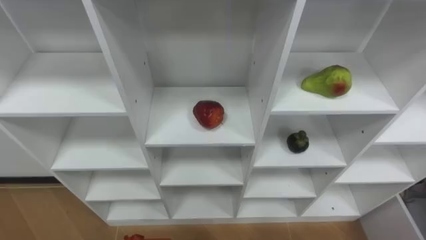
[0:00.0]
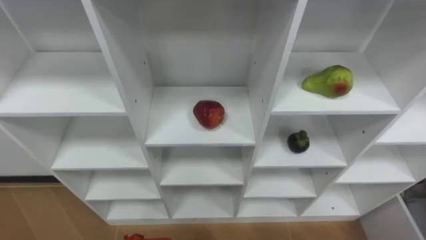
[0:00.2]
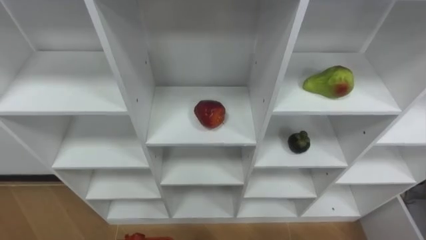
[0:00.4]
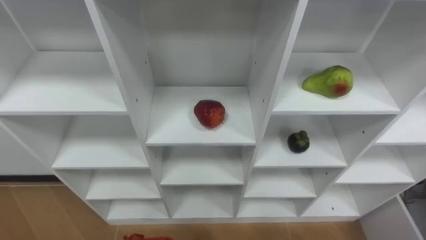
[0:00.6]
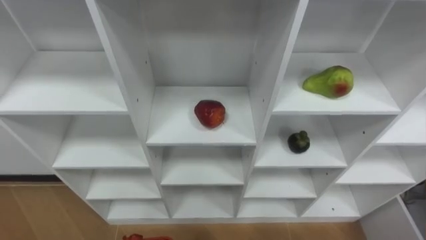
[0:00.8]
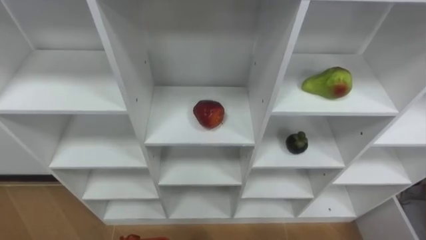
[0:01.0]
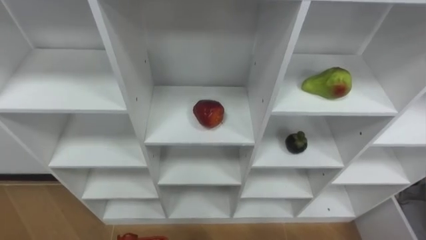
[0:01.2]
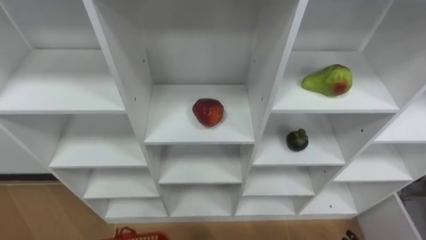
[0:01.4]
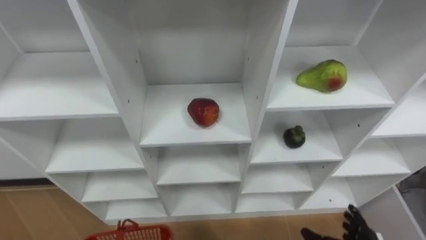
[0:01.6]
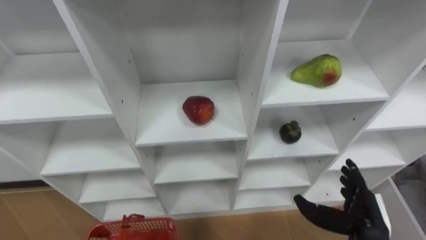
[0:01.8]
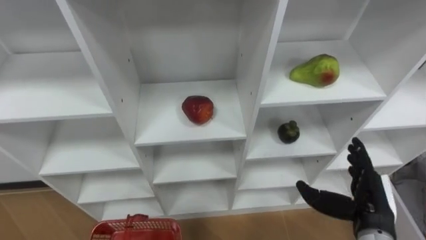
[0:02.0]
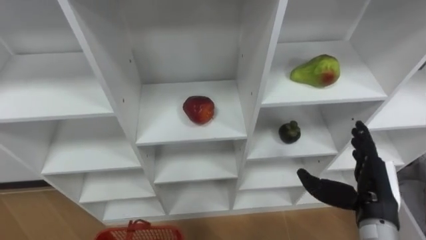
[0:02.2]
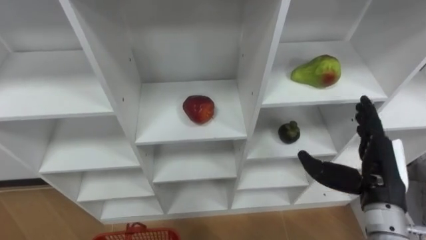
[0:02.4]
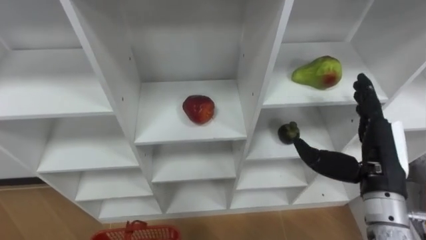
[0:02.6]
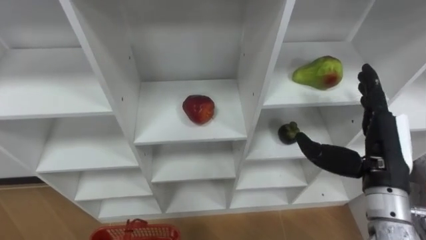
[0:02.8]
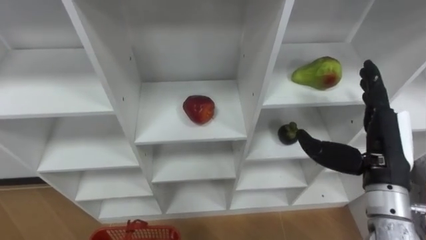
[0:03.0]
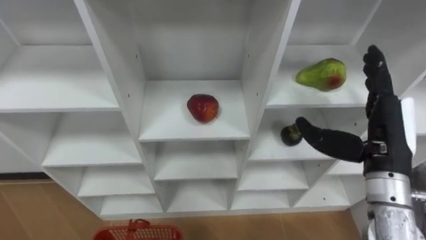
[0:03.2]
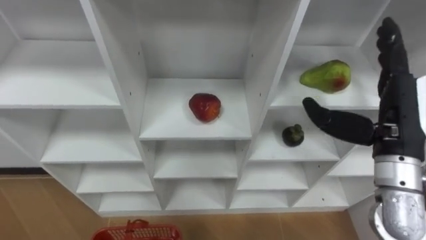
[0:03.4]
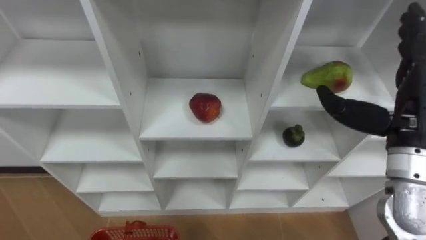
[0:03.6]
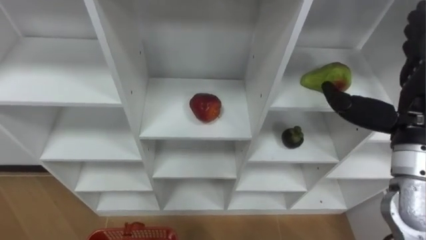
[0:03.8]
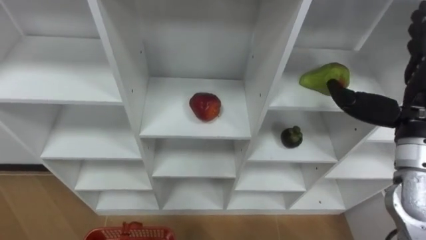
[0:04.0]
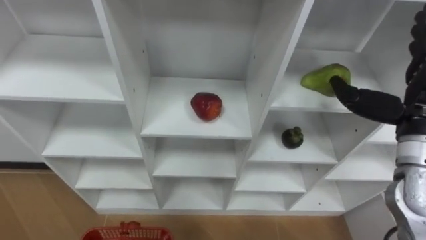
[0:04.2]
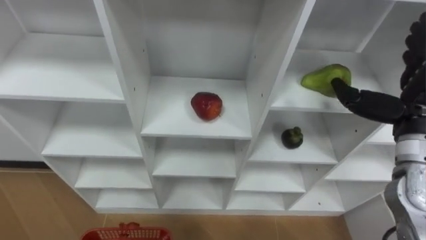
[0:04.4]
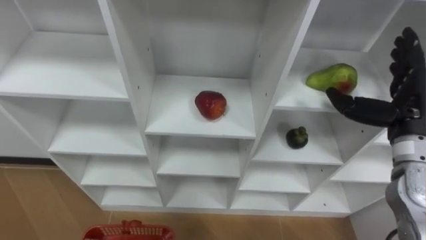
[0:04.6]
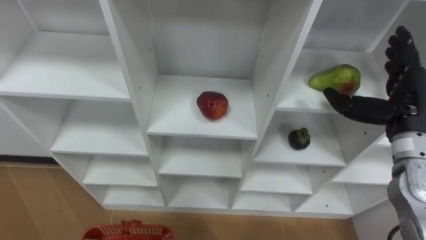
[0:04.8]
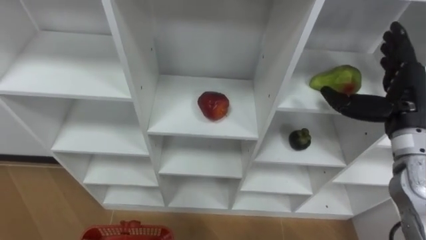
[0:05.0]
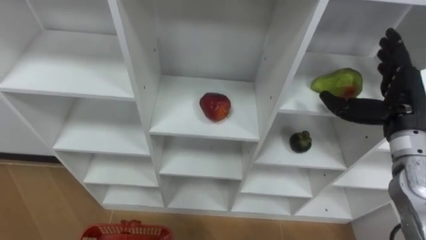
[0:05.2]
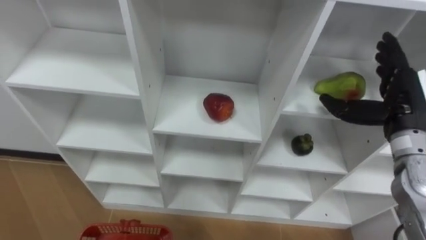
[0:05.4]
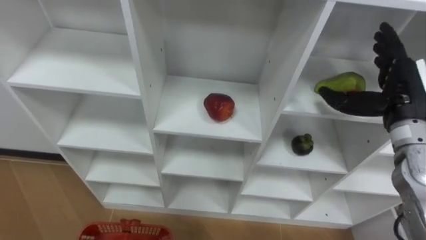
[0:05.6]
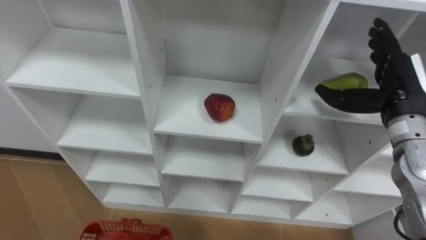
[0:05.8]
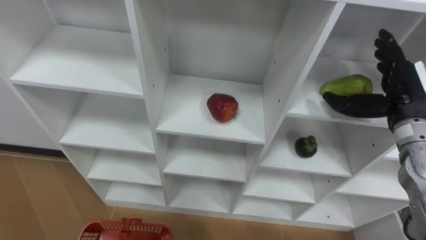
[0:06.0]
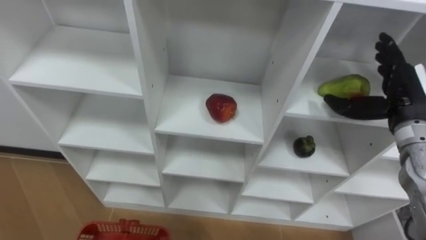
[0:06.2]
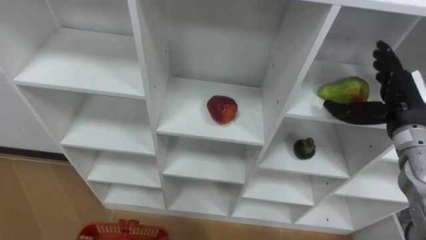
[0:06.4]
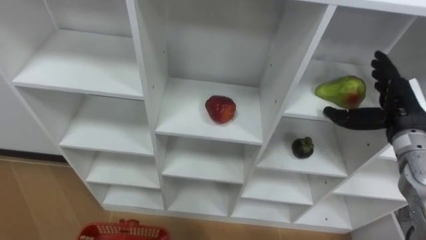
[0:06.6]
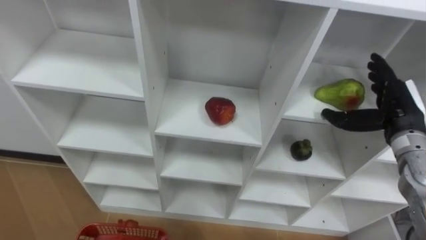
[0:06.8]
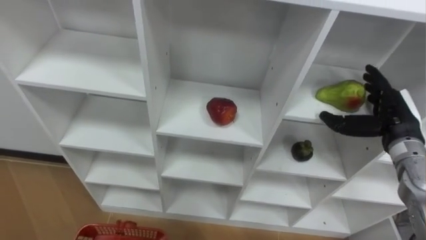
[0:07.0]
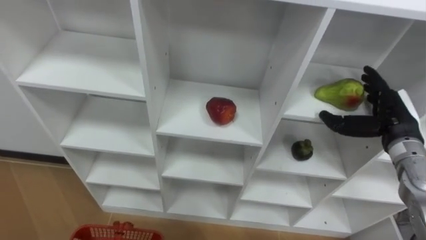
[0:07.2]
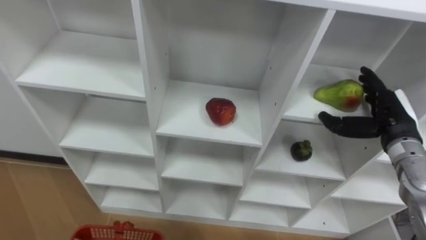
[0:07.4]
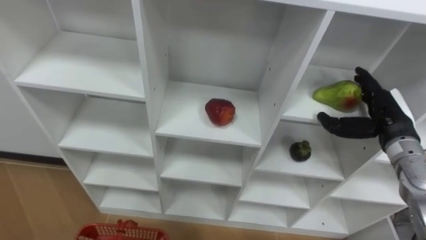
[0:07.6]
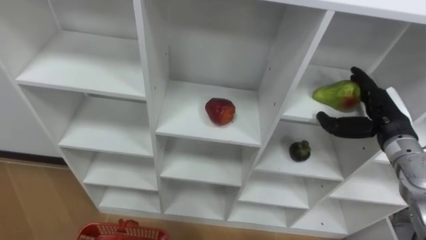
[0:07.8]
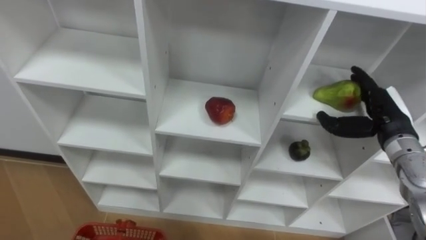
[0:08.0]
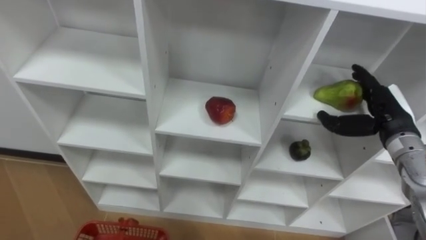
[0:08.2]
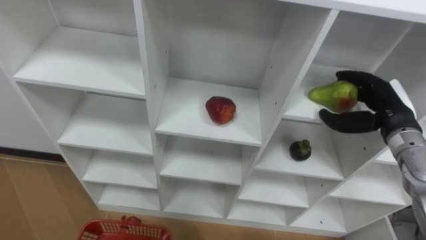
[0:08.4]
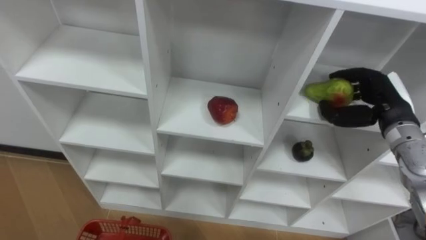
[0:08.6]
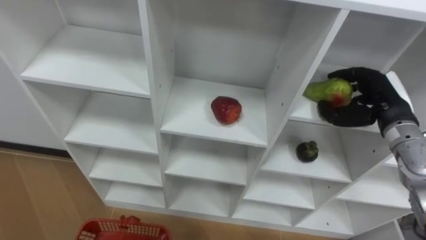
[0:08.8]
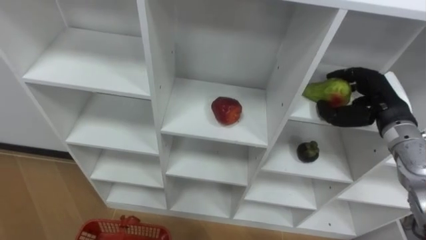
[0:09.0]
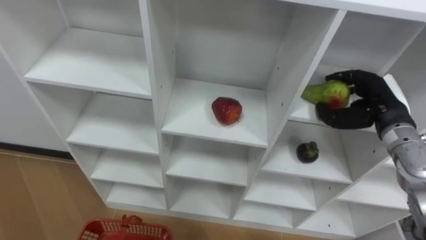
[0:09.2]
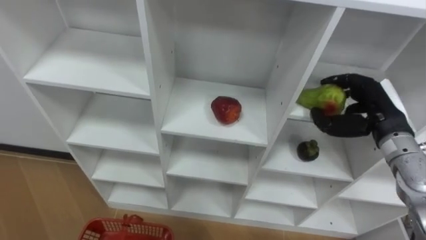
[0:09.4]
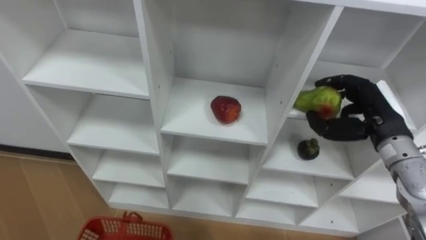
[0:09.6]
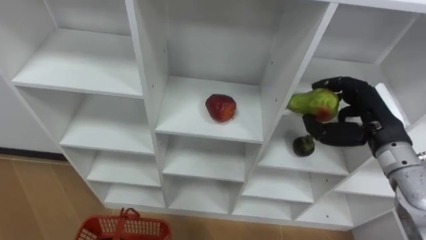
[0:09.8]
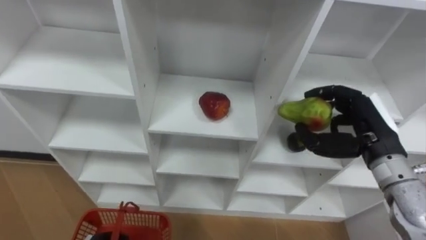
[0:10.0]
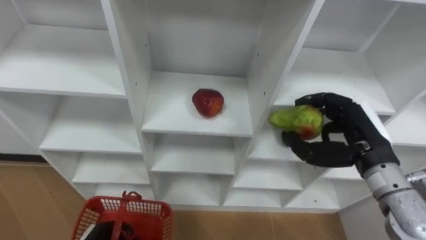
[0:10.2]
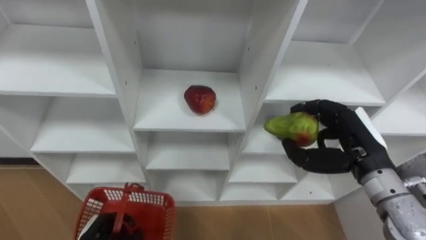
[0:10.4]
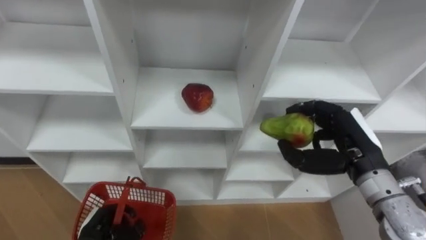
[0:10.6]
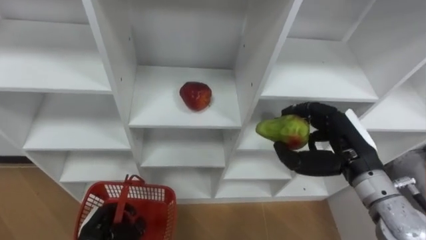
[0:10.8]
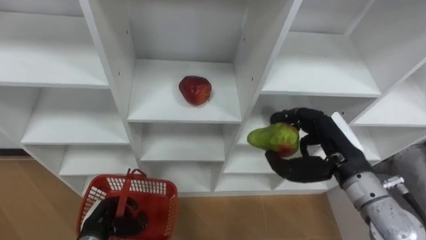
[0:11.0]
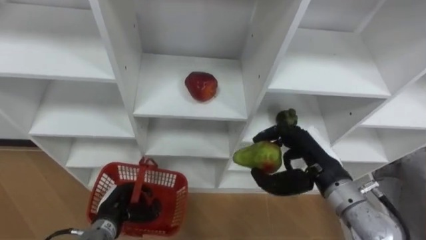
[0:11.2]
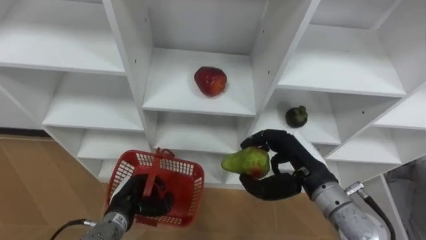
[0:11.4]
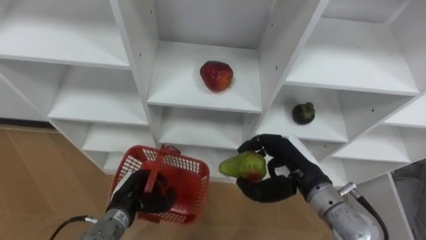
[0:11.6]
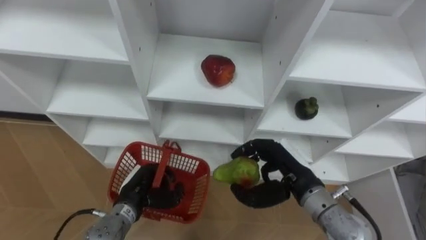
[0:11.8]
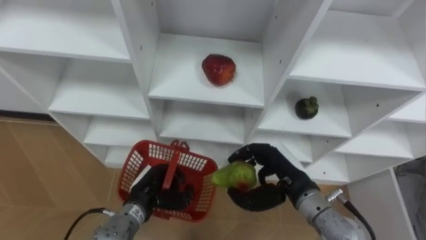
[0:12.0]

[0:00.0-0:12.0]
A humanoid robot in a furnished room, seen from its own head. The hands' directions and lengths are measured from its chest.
Task of the whole recording: Hold the basket and collect the fruits from 3 different cells of the closet into it.
0:03.0 to 0:04.4: The right hand moves forward and to the right, about 5 cm.
0:04.4 to 0:06.0: The right hand moves roughly 5 cm.
0:06.0 to 0:07.6: The right hand moves downward, about 5 cm.
0:07.6 to 0:09.0: The right hand closes up.
0:09.0 to 0:10.4: The right hand moves backward and to the left, about 10 cm.
0:10.4 to 0:12.0: The left hand moves to the right, forward and upward, about 15 cm. Meanwhile the right hand travels to the left and downward by approximately 15 cm.

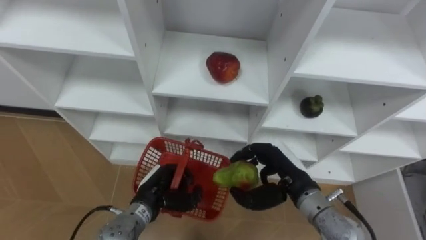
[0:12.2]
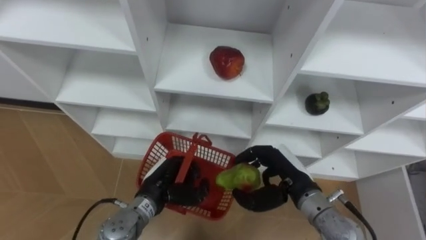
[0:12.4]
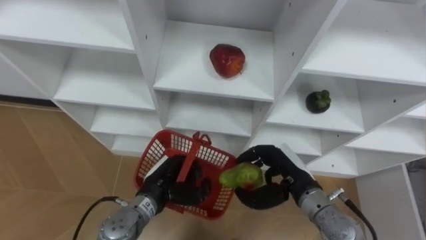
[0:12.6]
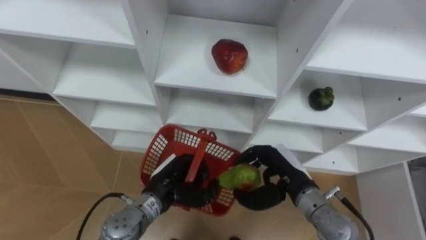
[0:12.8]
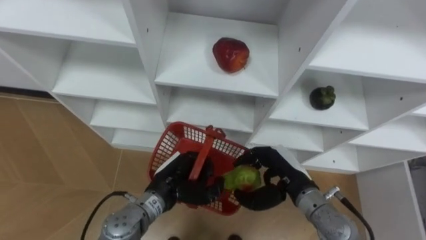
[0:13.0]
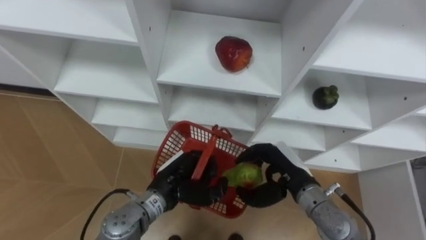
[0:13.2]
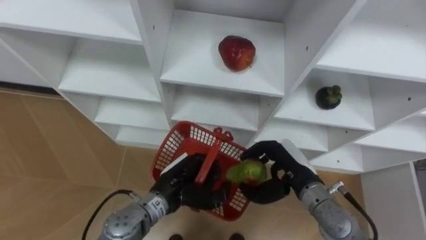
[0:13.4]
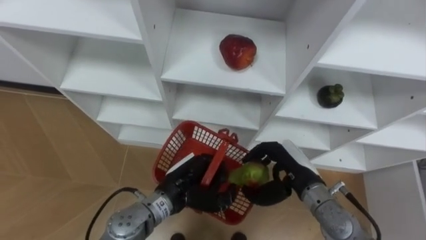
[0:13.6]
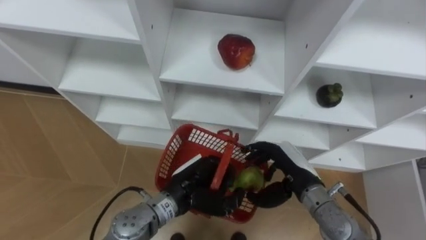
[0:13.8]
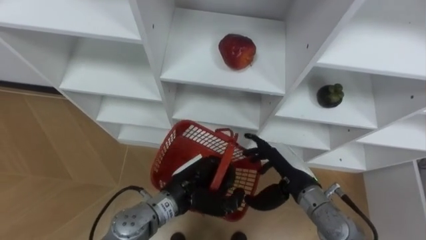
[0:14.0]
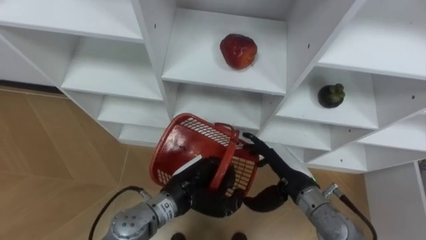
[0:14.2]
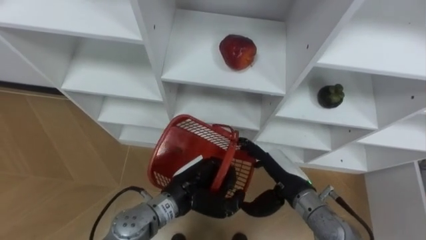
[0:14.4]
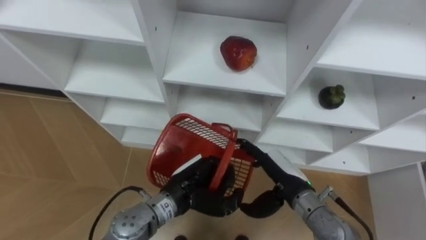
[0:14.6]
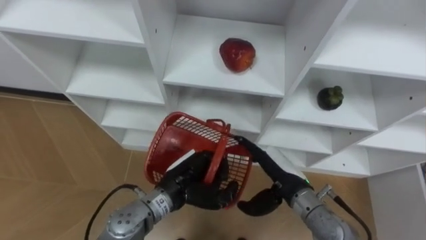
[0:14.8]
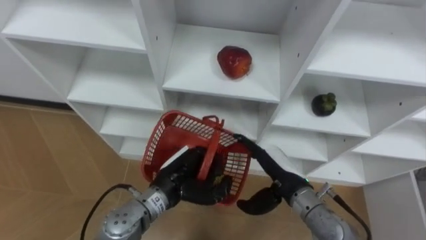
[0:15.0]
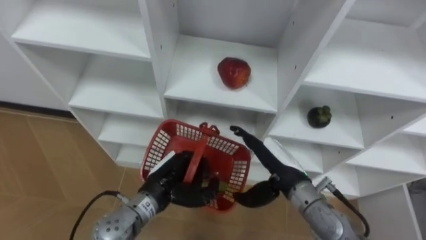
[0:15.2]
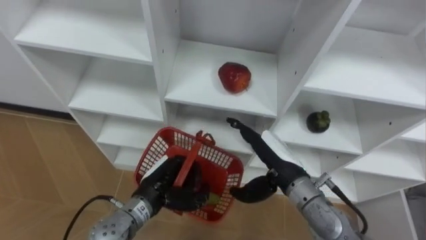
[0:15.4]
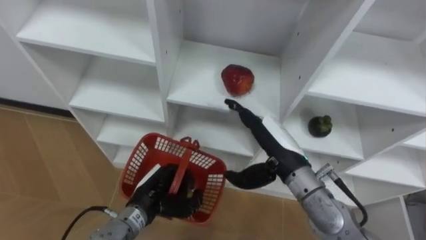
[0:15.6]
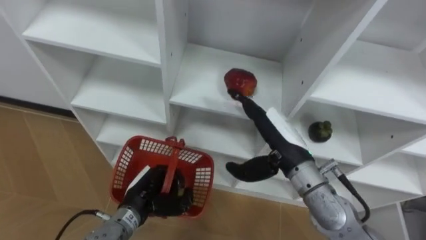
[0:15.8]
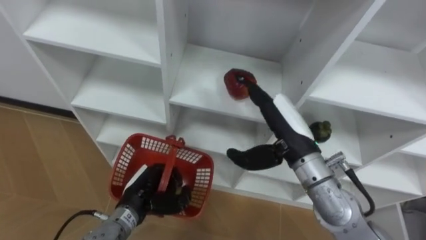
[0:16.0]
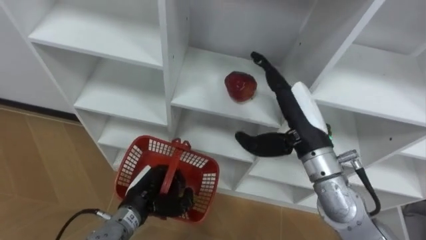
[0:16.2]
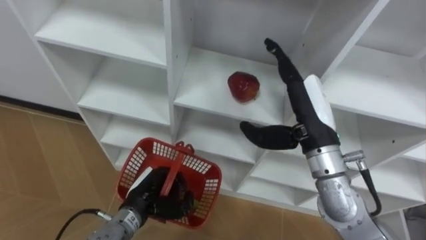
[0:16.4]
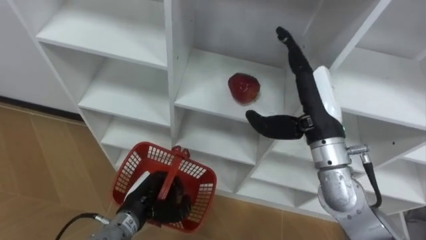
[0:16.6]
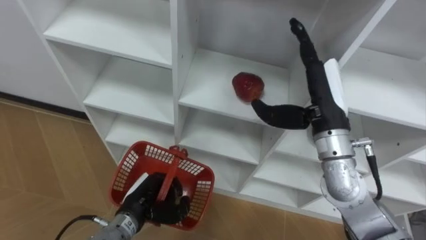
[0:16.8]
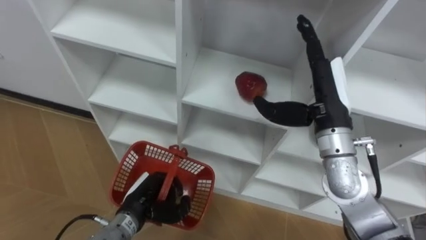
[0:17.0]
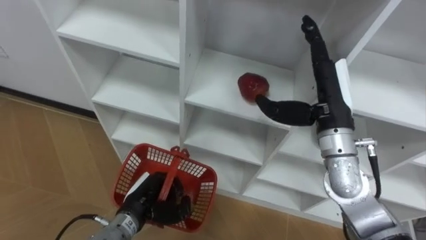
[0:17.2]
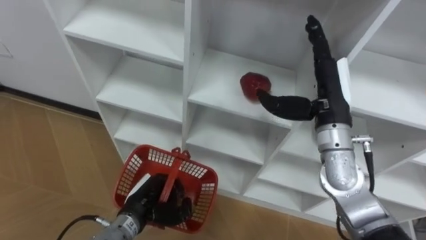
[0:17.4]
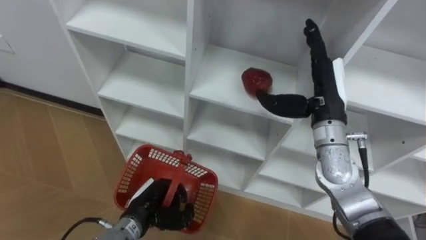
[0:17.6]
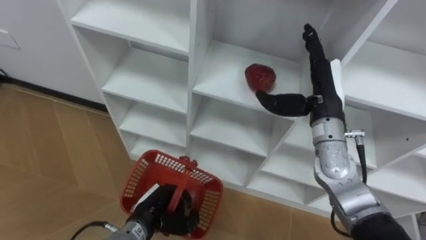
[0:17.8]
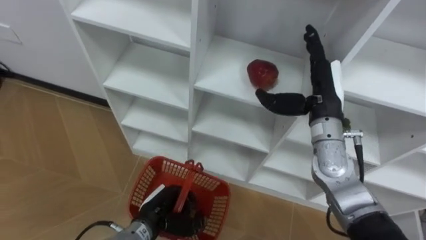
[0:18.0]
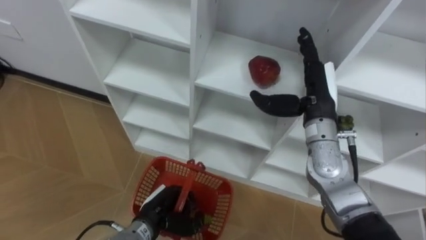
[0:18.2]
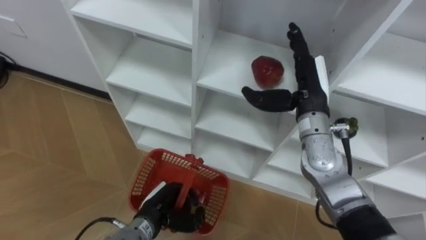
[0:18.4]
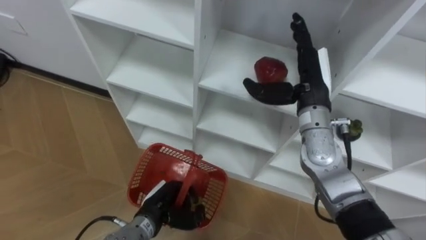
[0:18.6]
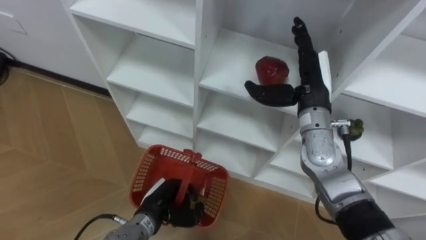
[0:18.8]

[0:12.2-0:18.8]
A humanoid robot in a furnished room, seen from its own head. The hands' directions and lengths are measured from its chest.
Task of the whole recording: Hold the basket and collect the fruits from 3 different cells of the closet into it.
0:12.2 to 0:13.8: The left hand is displaced to the right and upward by some 10 cm.
0:13.8 to 0:15.4: The right hand moves some 5 cm, and opens, while the left hand is displaced to the left by about 5 cm.
0:15.4 to 0:17.2: The left hand moves roughly 5 cm. Meanwhile the right hand shifts approximately 15 cm upward, to the right and forward.
0:17.2 to 0:18.8: The right hand shifts by roughly 5 cm.
